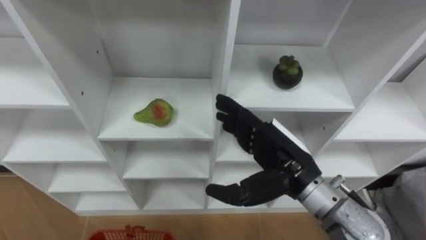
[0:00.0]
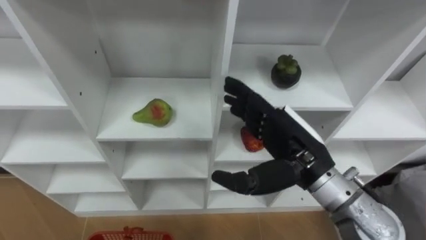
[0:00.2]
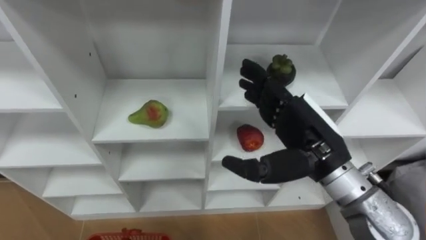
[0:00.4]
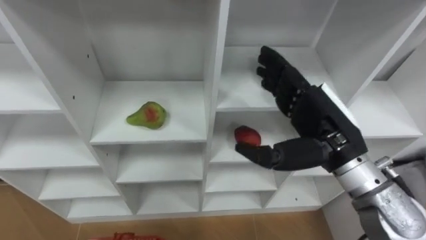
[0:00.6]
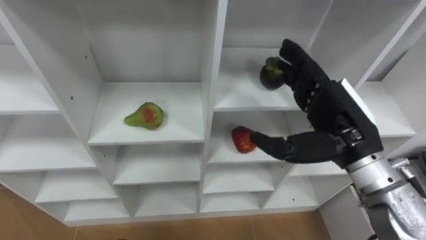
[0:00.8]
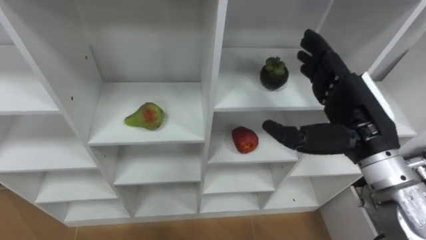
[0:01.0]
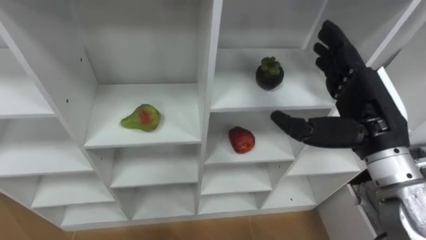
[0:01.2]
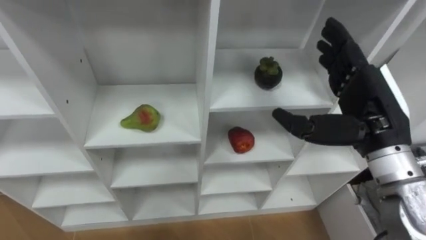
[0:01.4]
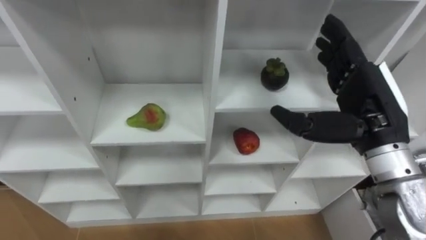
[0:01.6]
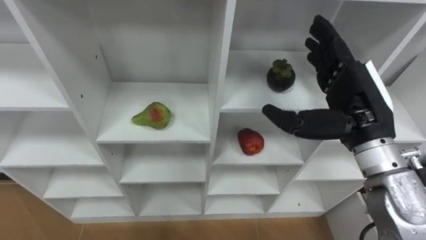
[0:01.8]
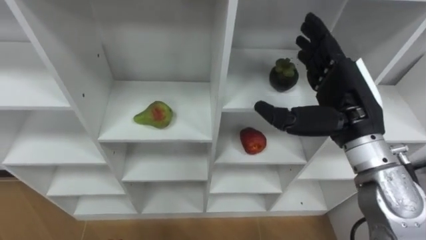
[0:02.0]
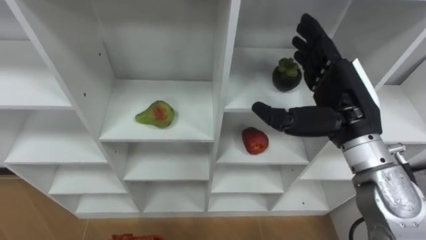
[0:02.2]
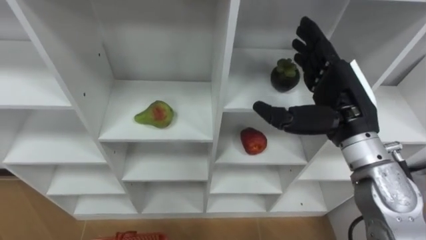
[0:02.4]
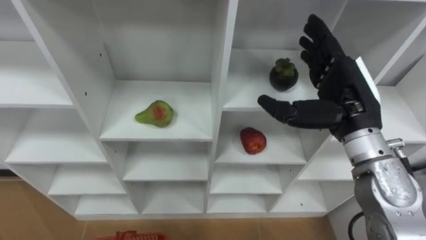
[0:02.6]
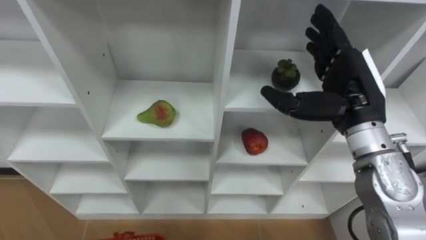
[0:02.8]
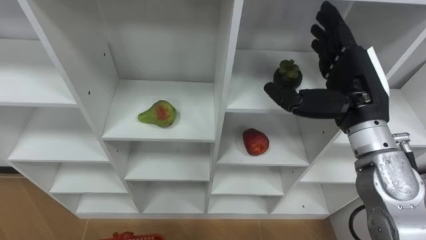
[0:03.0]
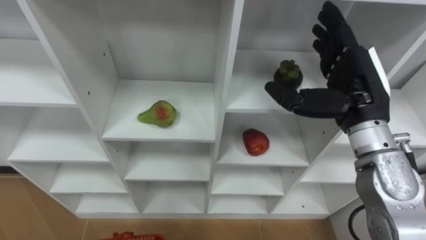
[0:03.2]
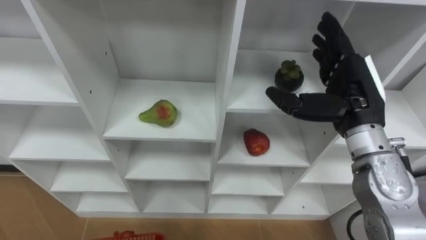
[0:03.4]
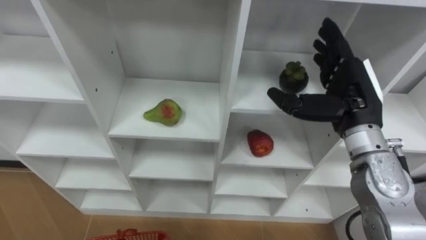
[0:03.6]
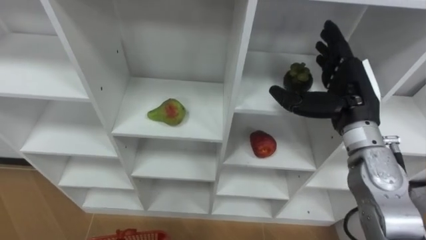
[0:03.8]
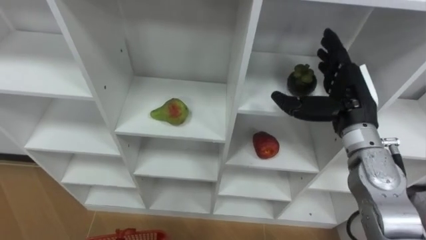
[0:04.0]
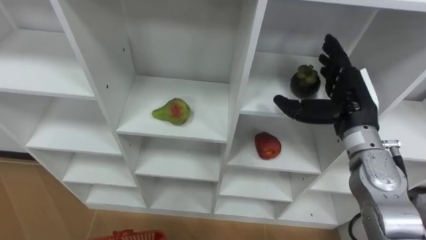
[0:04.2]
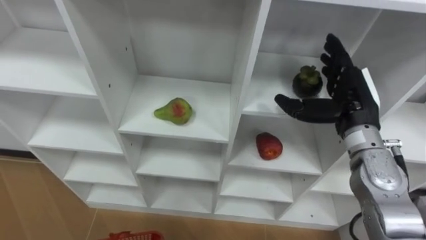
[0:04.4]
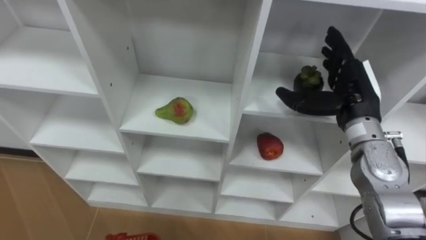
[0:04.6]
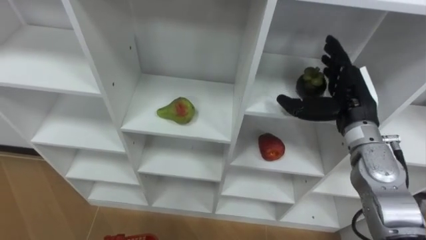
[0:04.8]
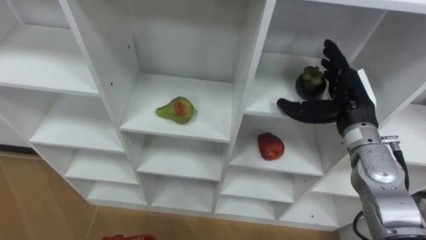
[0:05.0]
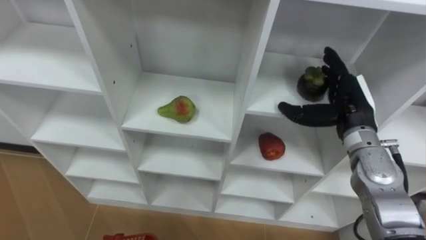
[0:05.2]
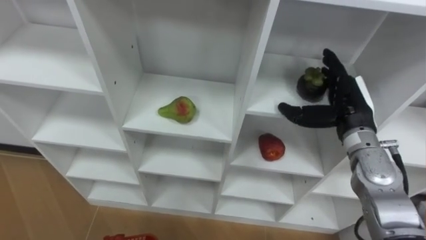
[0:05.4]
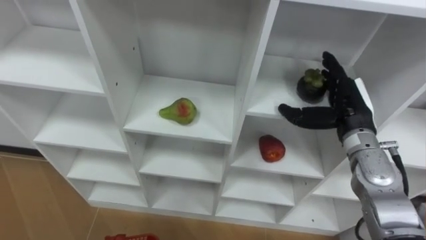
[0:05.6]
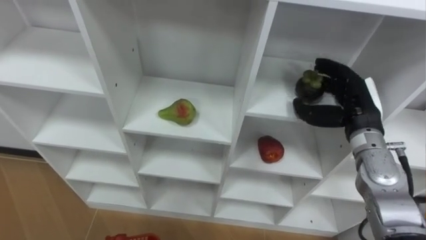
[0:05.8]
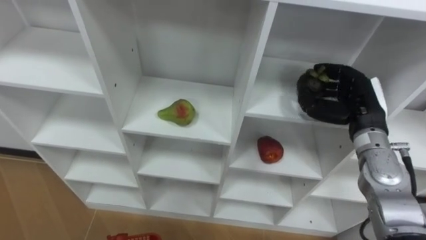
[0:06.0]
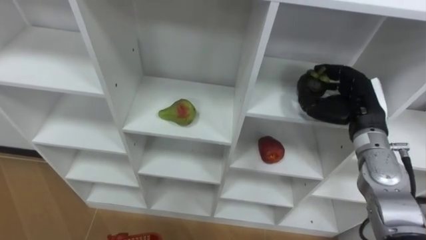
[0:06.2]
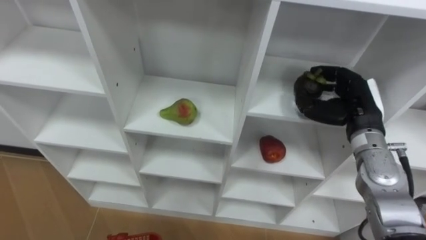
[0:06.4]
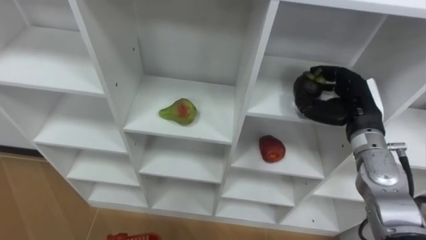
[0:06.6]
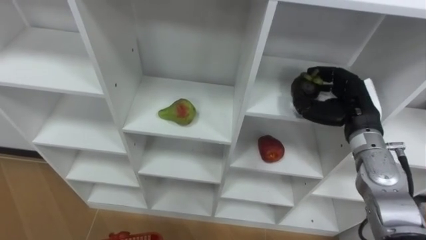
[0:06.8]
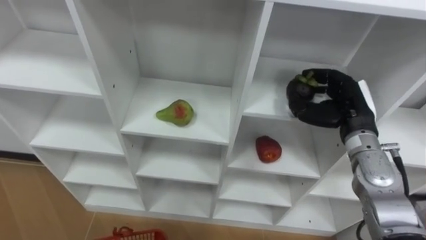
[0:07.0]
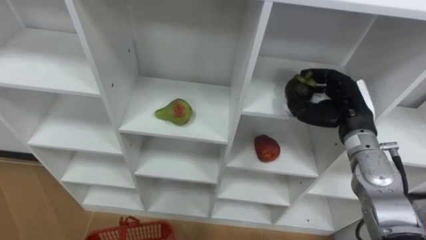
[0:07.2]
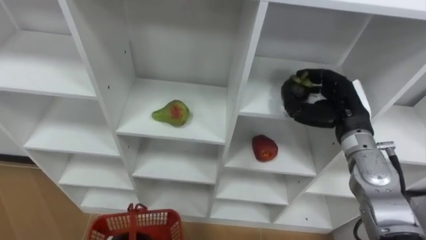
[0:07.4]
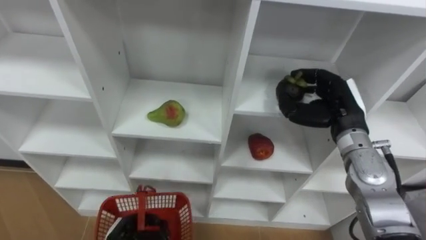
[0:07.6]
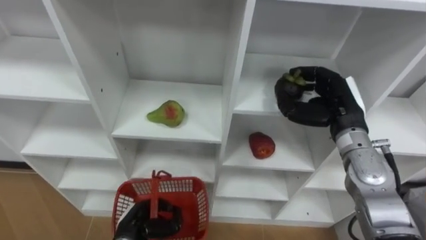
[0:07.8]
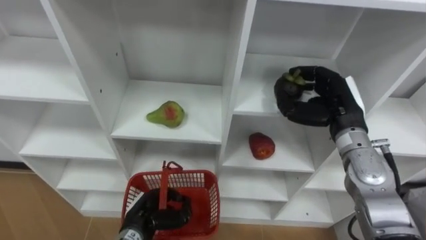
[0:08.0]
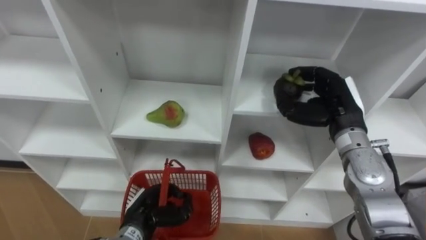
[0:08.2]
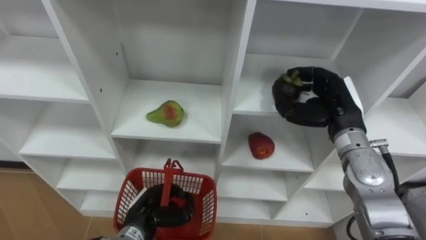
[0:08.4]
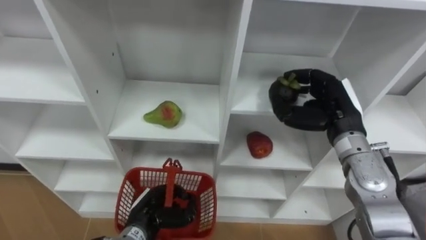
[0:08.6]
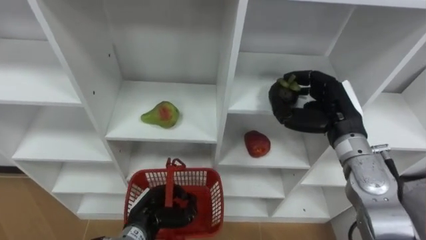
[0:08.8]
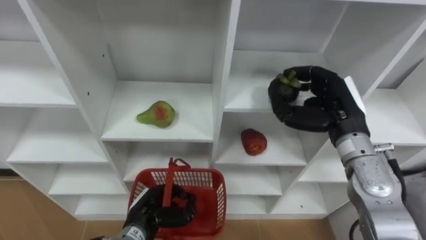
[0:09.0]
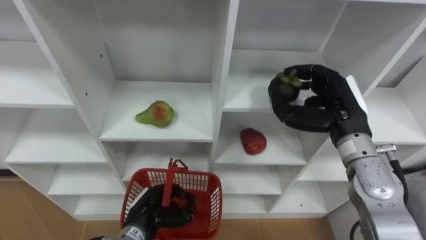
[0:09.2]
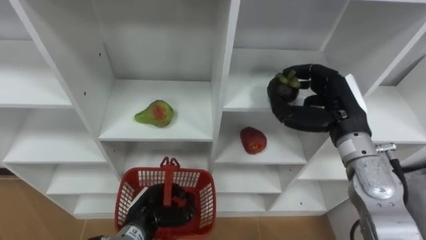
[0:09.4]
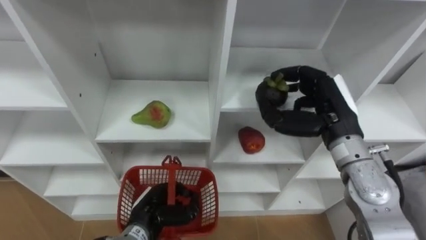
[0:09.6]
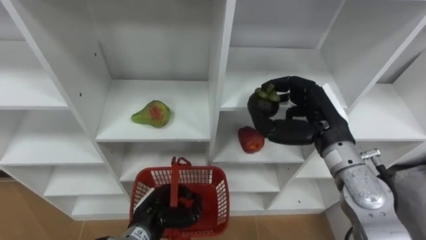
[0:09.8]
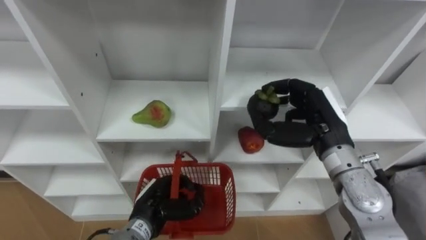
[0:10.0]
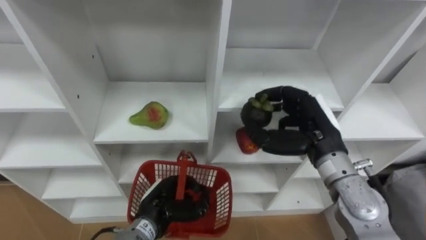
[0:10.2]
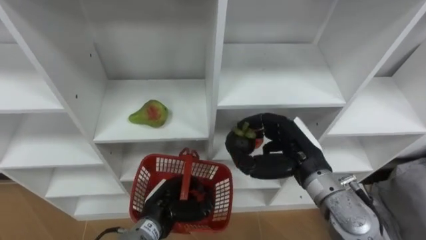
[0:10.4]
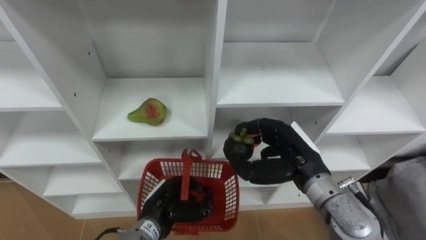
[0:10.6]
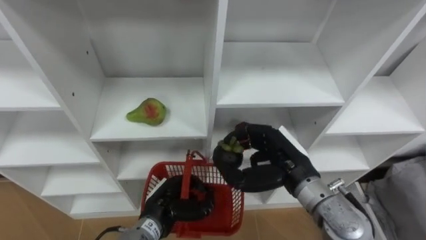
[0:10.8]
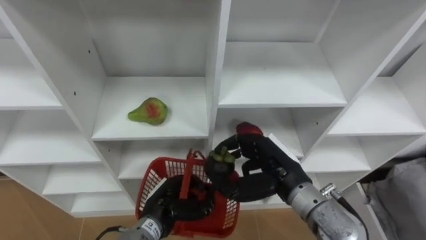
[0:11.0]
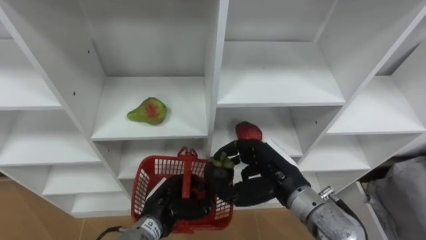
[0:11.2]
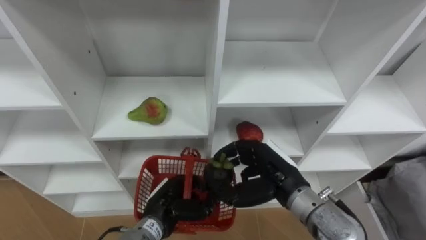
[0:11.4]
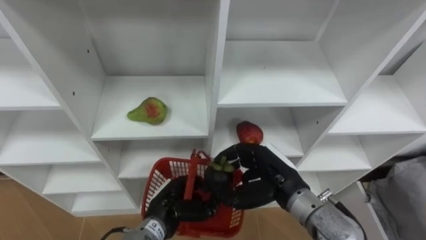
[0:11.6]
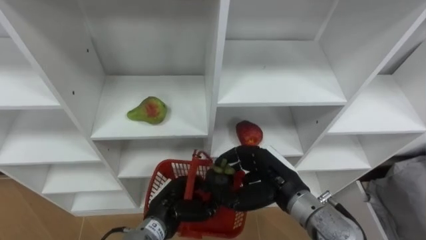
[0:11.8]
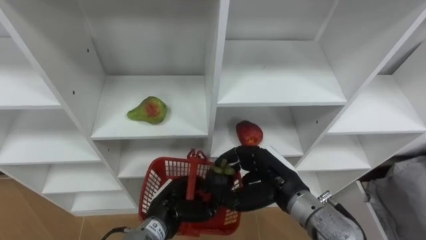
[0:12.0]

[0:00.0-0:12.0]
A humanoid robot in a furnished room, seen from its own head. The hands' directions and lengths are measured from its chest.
Task of the whole recording: Hold the basket and collect the fruits from 3 different cells of the closet into it.
0:00.0 to 0:01.6: The right hand is displaced to the right and upward by some 15 cm.
0:03.0 to 0:04.4: The right hand moves downward, roughly 5 cm.
0:04.4 to 0:06.0: The right hand closes up.
0:09.0 to 0:10.4: The right hand moves to the left, approximately 5 cm.
0:10.4 to 0:12.0: The right hand ends up some 5 cm from where it was.

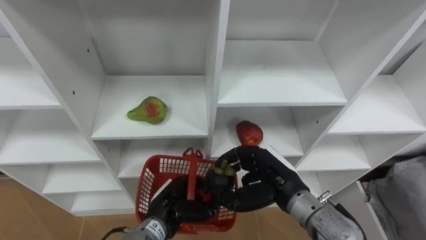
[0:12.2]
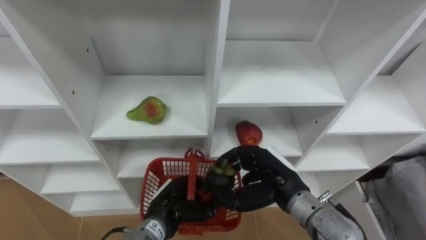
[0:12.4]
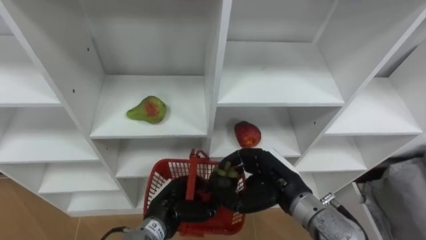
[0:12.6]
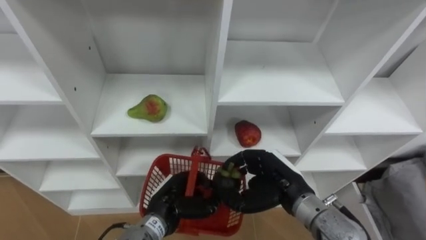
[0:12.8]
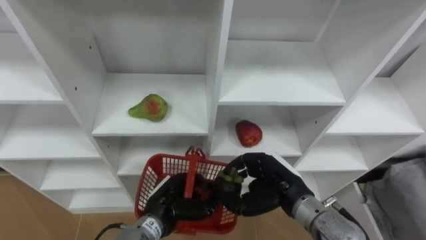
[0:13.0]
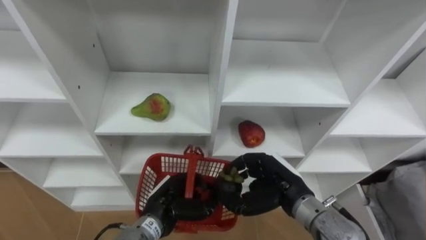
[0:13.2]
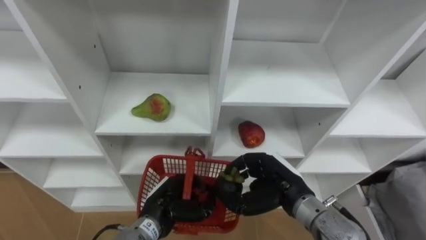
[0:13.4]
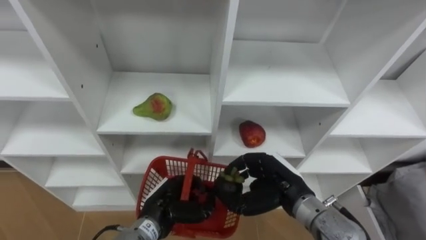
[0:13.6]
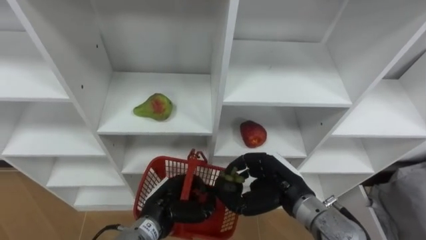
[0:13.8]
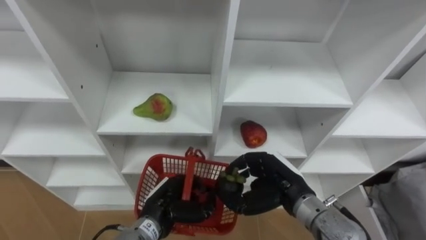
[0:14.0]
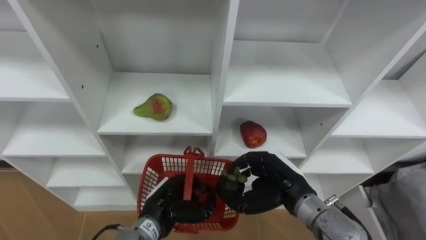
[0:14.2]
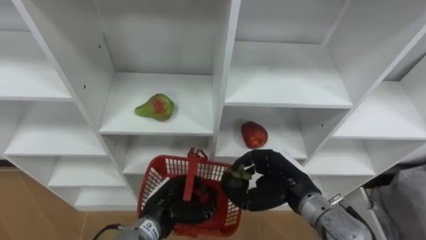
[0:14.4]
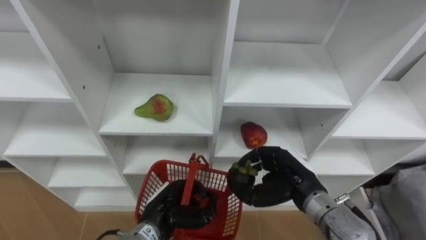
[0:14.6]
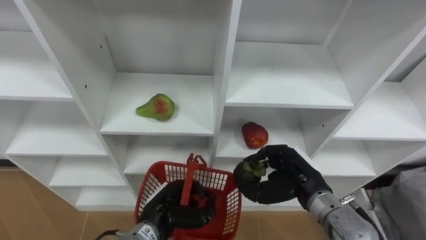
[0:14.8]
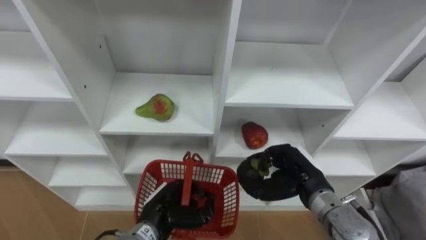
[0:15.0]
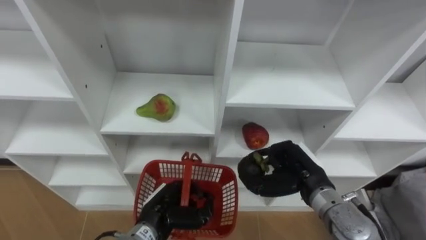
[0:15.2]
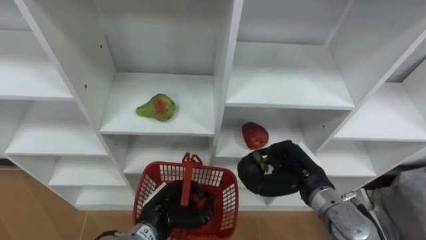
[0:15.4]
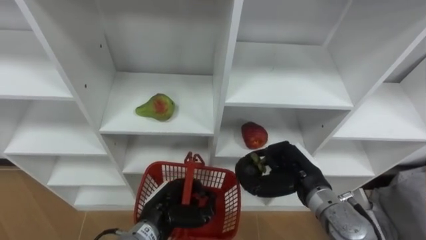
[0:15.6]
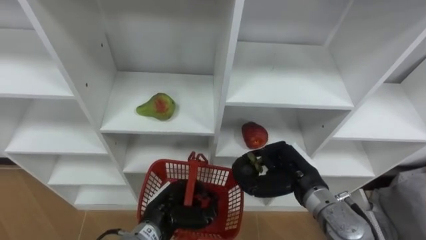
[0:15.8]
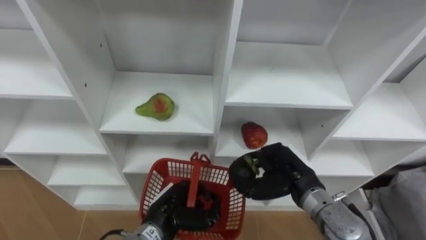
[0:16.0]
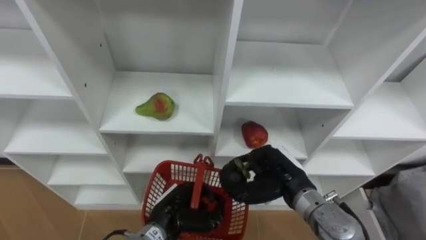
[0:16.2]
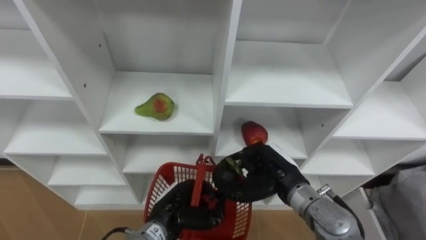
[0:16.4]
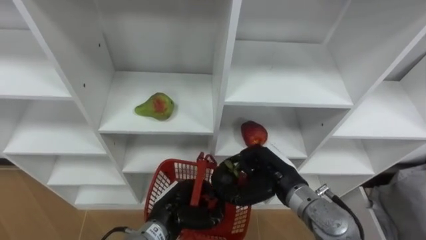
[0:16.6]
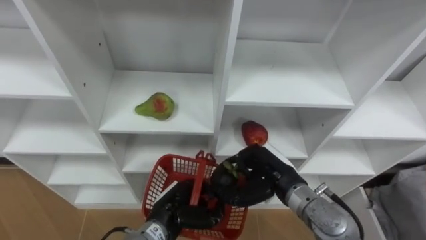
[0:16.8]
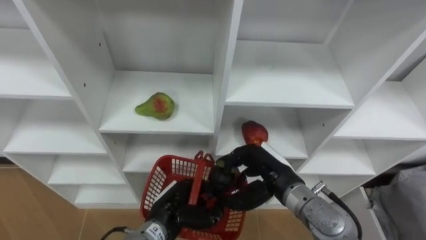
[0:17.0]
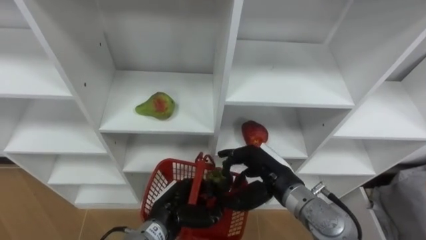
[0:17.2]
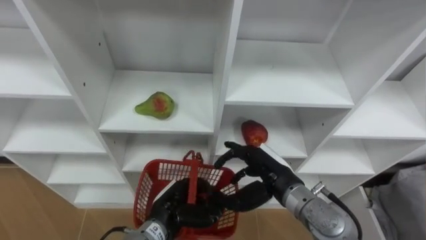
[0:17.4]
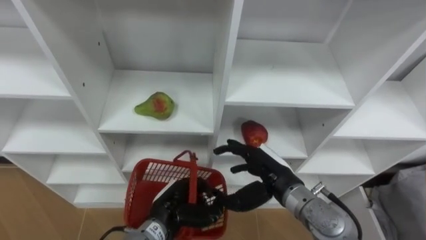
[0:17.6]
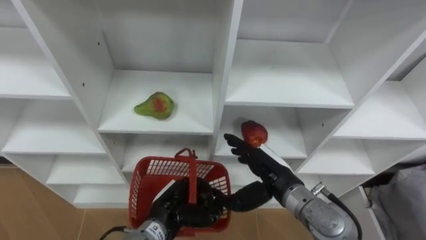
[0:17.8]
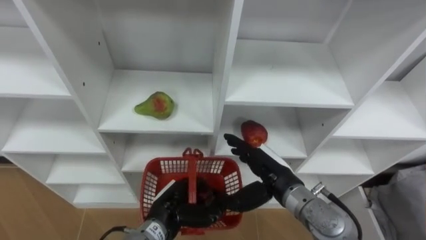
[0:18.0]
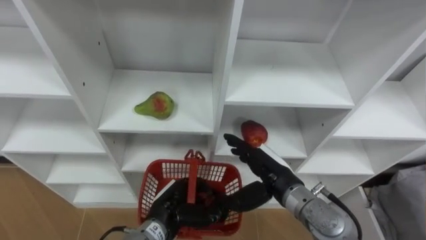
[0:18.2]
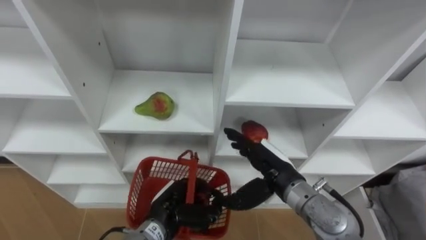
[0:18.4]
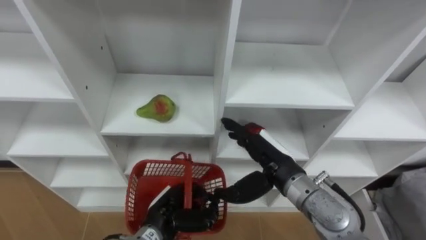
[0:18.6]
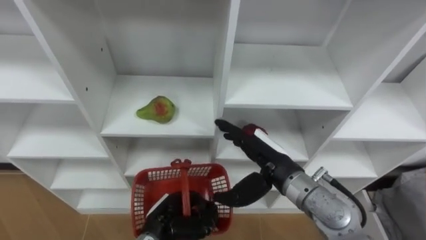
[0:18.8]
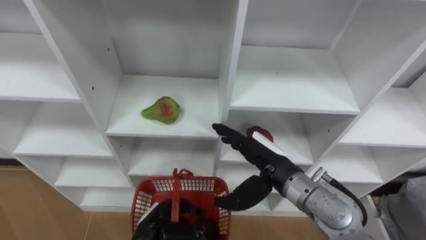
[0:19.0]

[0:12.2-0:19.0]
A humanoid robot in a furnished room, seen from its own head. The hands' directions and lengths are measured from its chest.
Task of the whole recording: Hold the basket and collect the fruits from 3 different cells of the closet into it.
0:13.6 to 0:16.2: There are only small adjustments of the hands.
0:16.2 to 0:17.6: The right hand opens its fingers.
0:17.6 to 0:19.0: The left hand moves some 5 cm.
